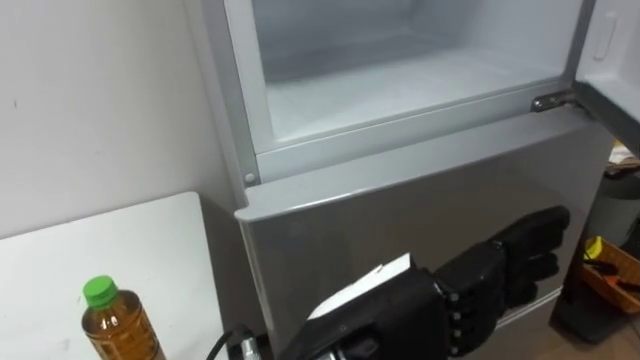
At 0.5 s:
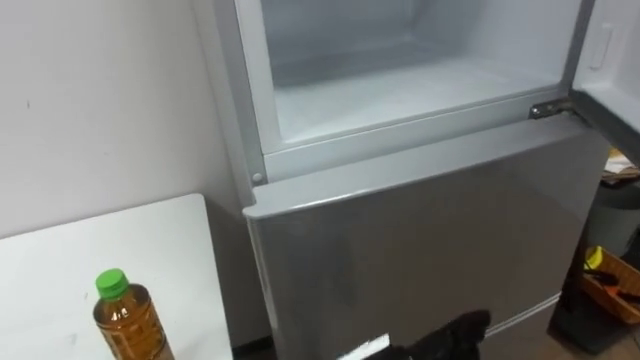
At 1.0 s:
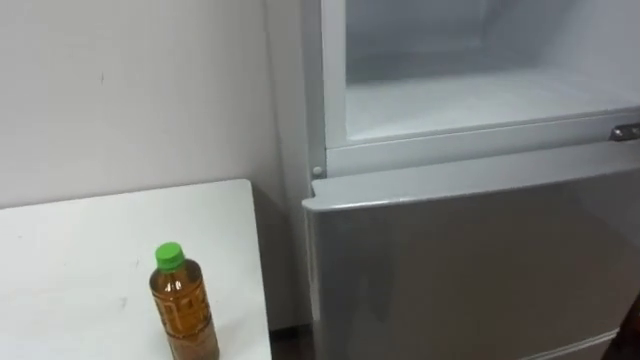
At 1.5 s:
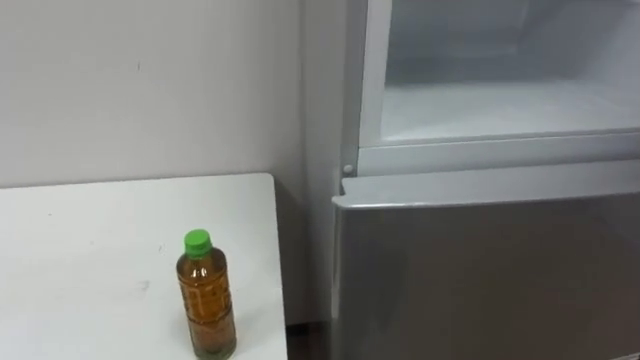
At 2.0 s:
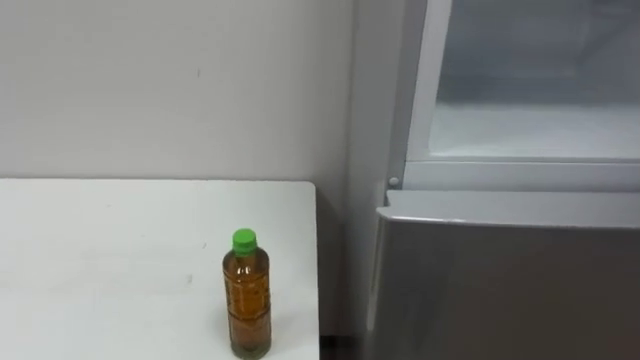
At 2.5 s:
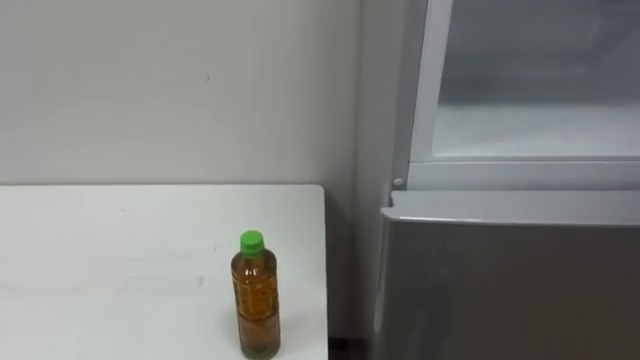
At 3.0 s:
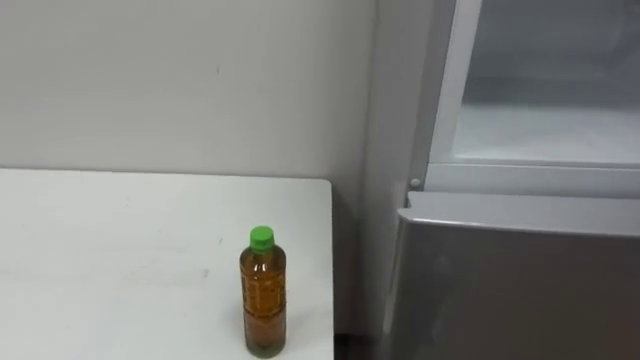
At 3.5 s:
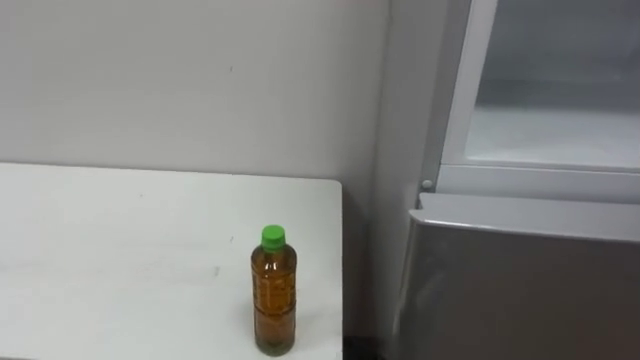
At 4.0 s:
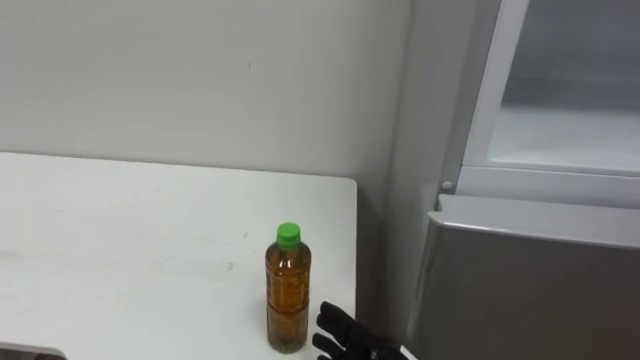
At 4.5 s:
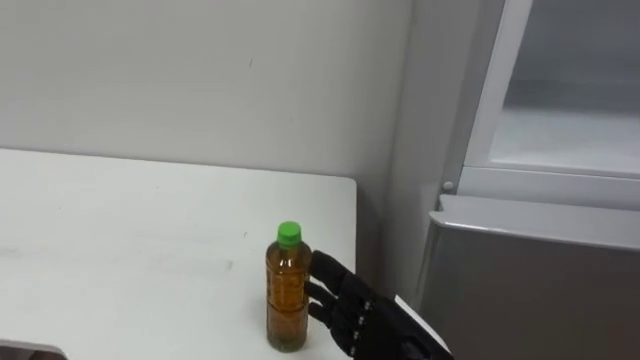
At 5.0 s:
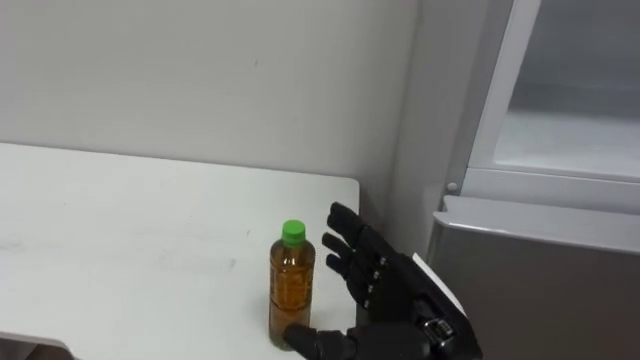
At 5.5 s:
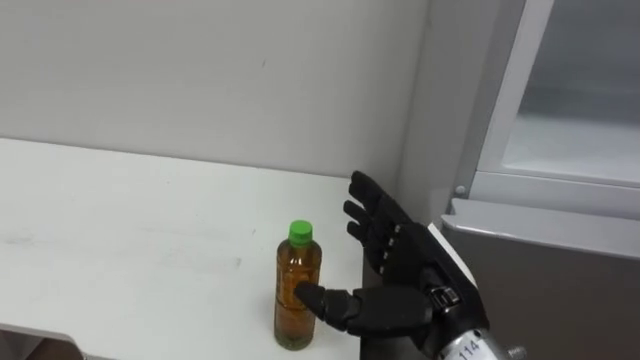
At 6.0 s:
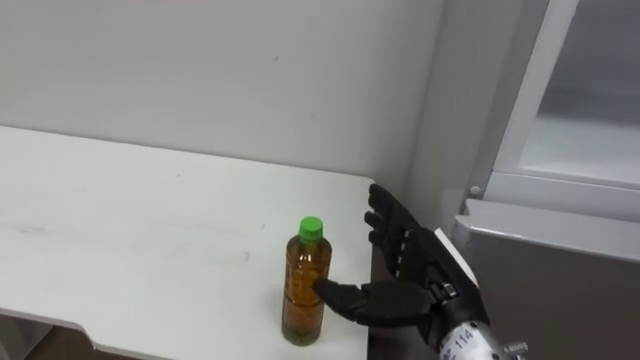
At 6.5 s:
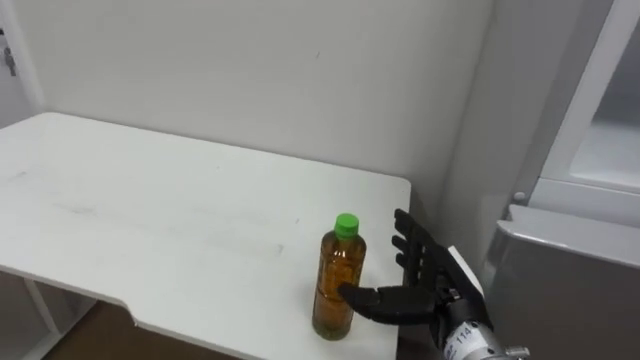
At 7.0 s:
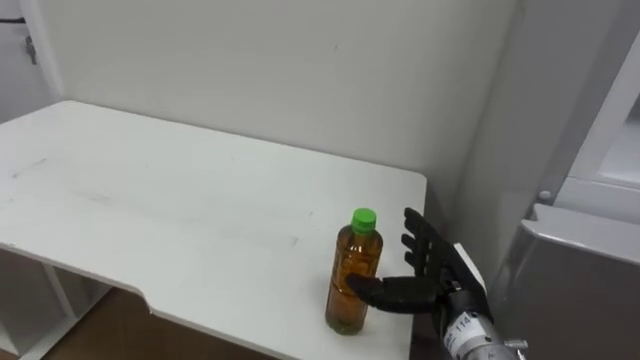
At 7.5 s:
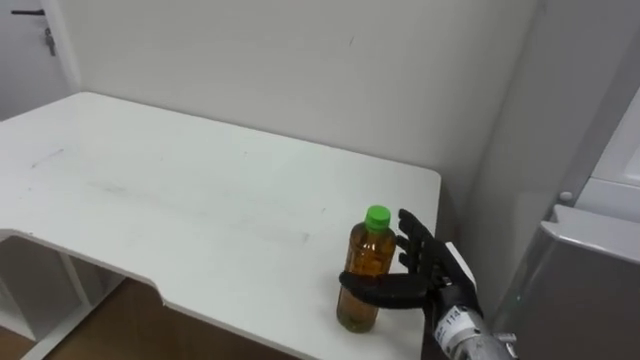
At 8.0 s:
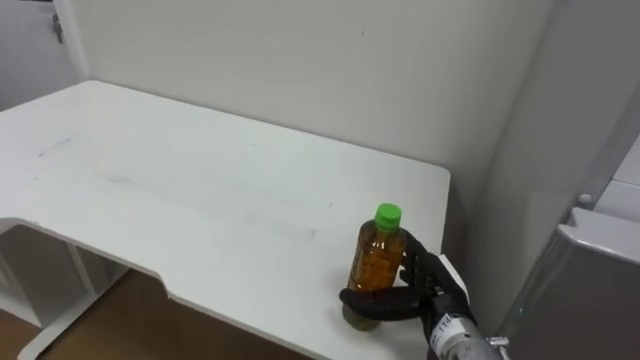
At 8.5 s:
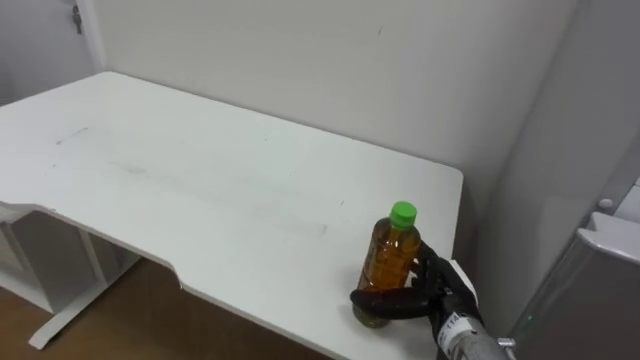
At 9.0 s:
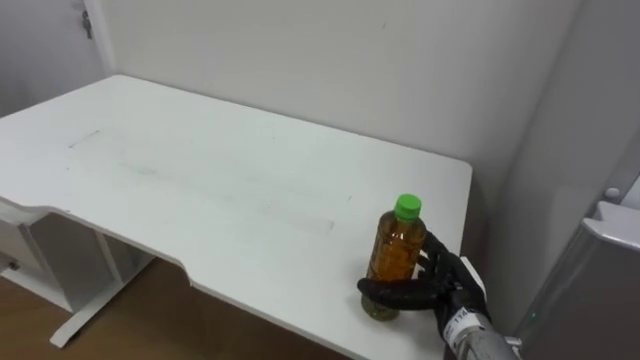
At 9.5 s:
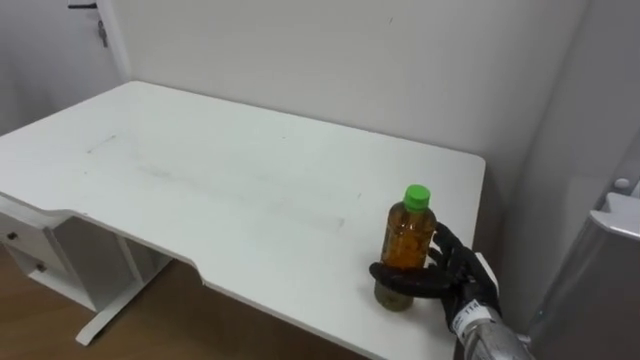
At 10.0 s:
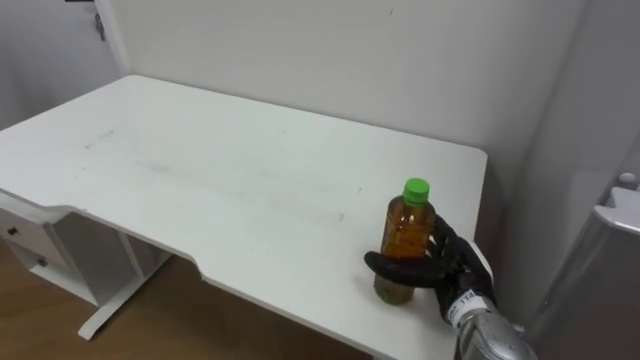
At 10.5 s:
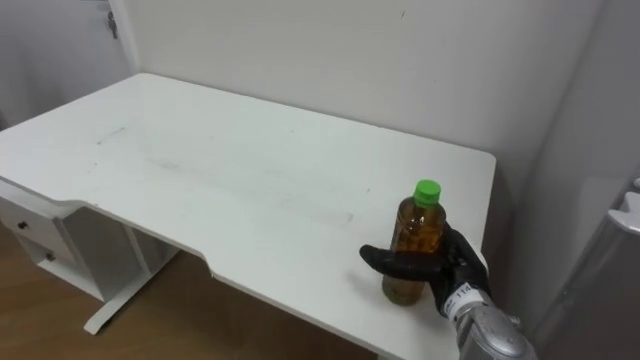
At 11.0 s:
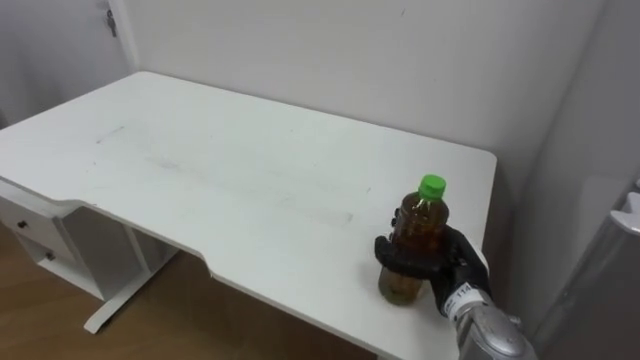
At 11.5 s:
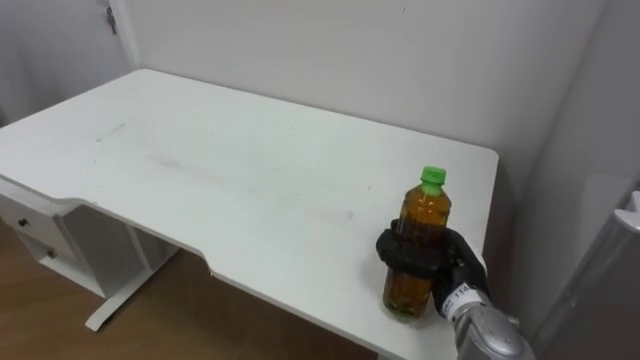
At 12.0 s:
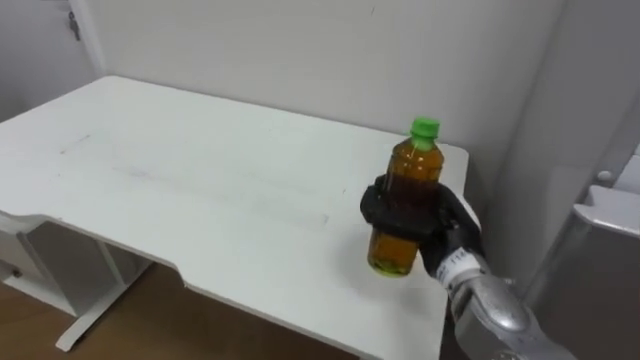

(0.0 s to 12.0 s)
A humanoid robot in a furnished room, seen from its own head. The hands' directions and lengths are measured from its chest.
Task of the whole recording: Open the upper refrigerator door, put the drink from the table into the refrigerator, and then close the refrigerator door.
6.0 s - 8.0 s: The right hand is displaced downward and forward by approximately 10 cm.
10.0 s - 12.0 s: The right hand shifts approximately 10 cm upward, and closes.

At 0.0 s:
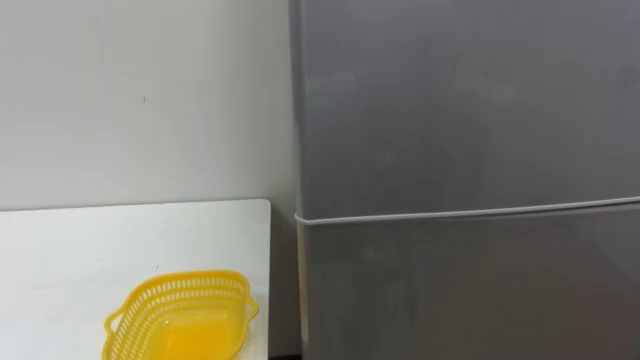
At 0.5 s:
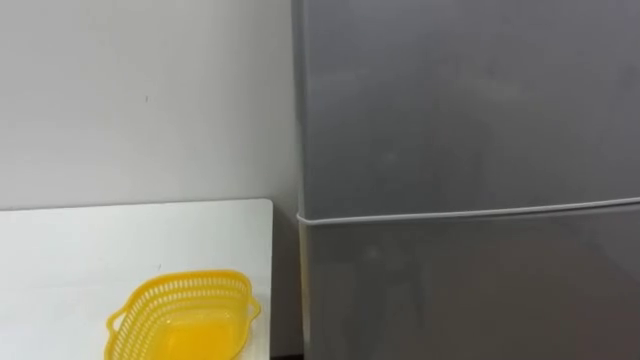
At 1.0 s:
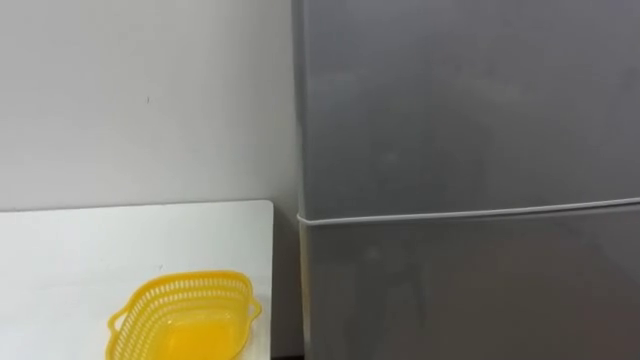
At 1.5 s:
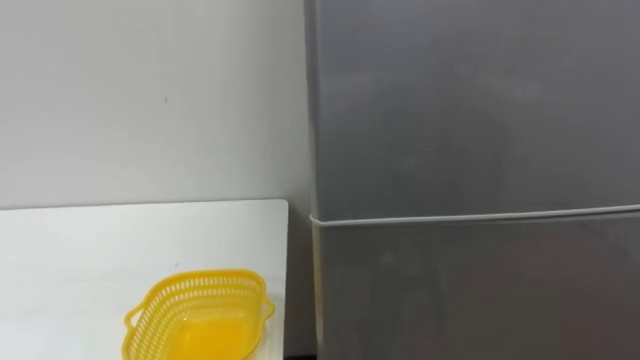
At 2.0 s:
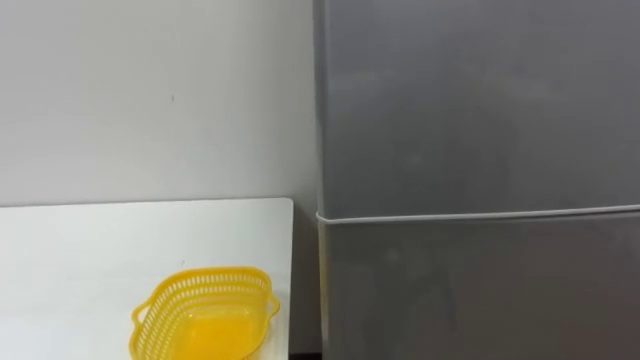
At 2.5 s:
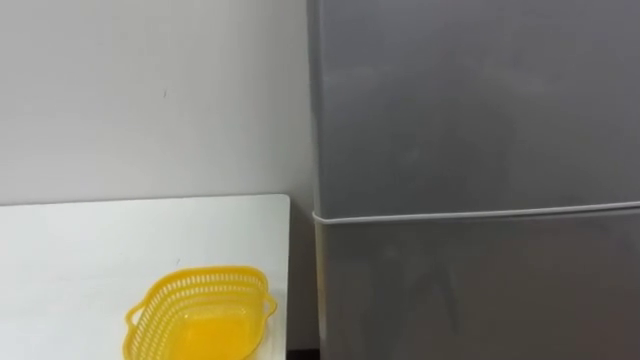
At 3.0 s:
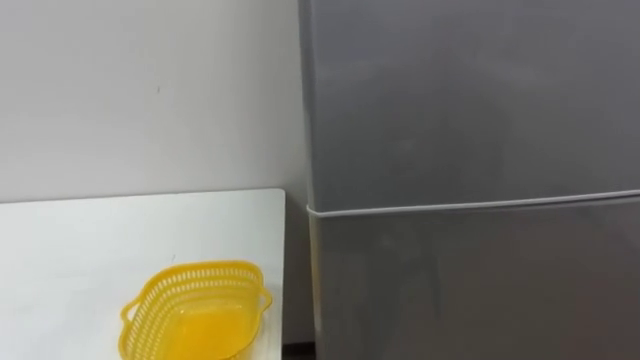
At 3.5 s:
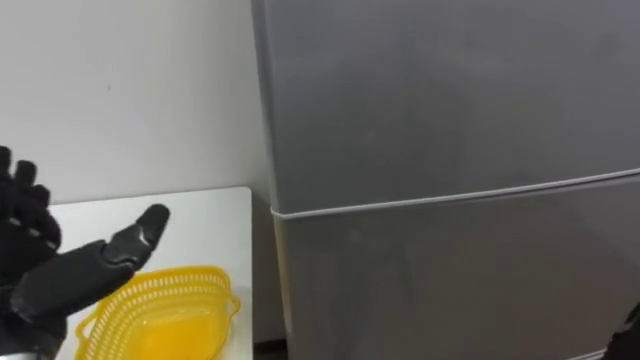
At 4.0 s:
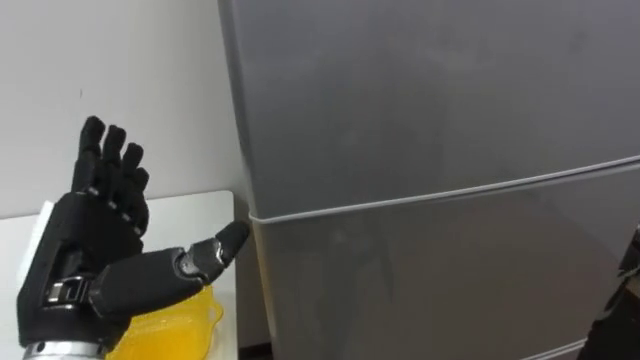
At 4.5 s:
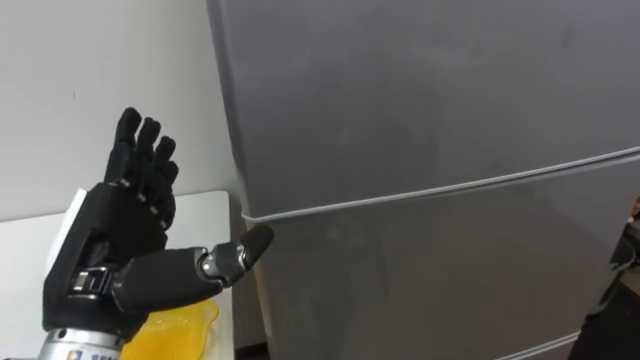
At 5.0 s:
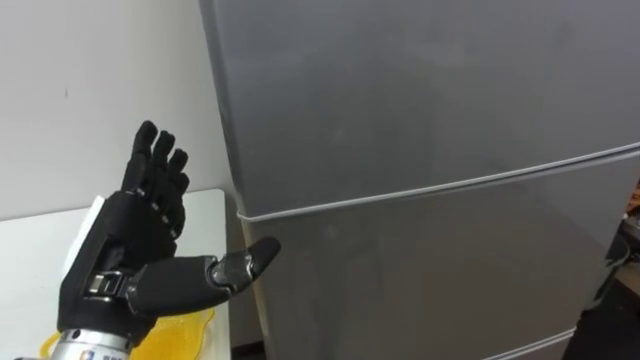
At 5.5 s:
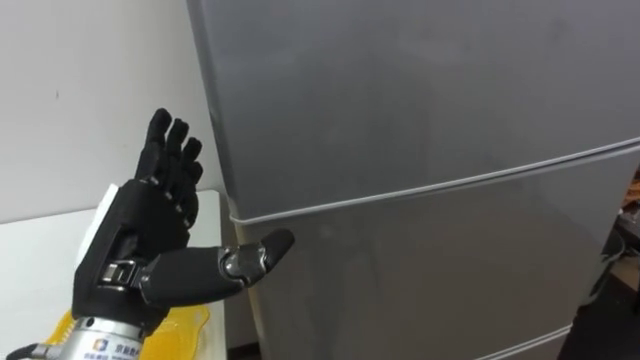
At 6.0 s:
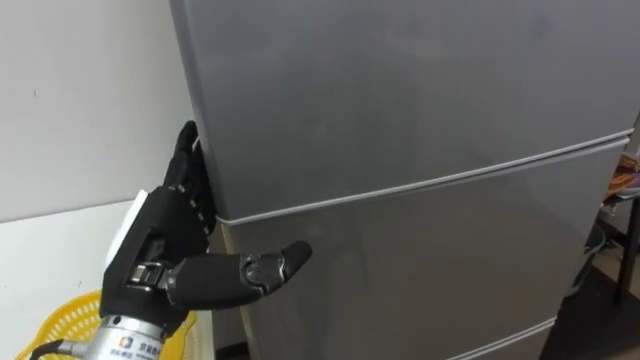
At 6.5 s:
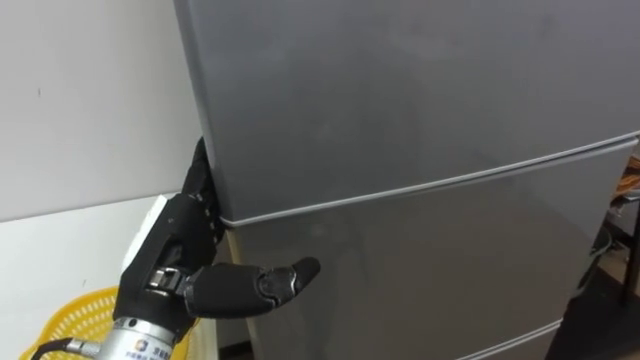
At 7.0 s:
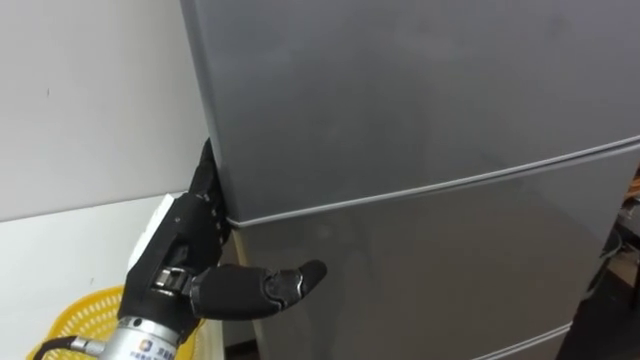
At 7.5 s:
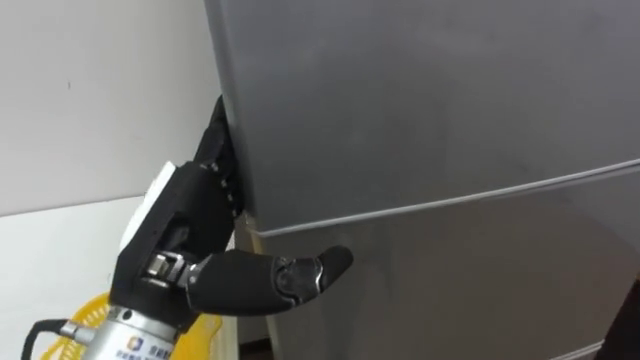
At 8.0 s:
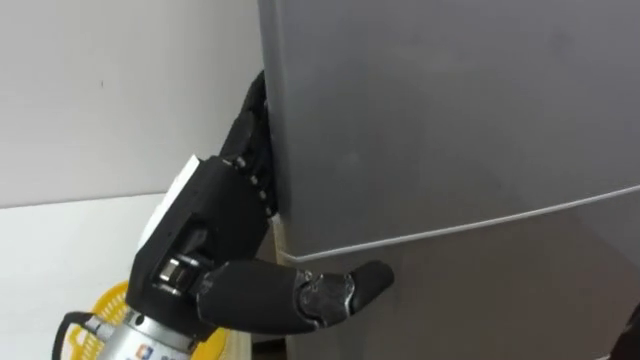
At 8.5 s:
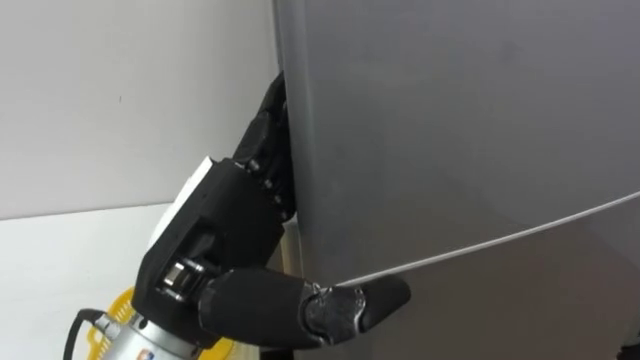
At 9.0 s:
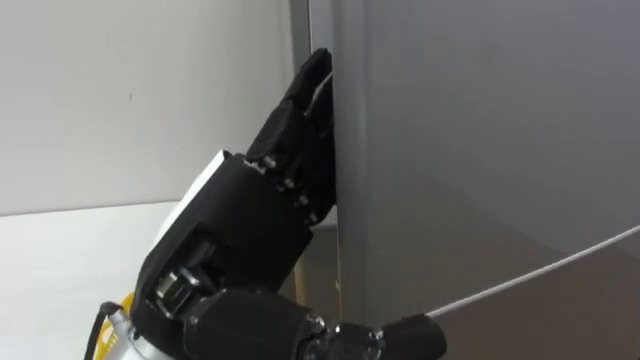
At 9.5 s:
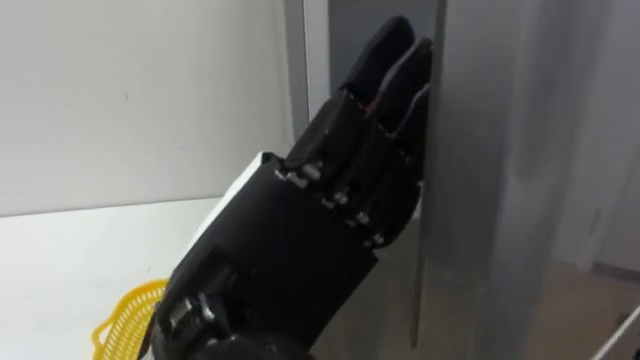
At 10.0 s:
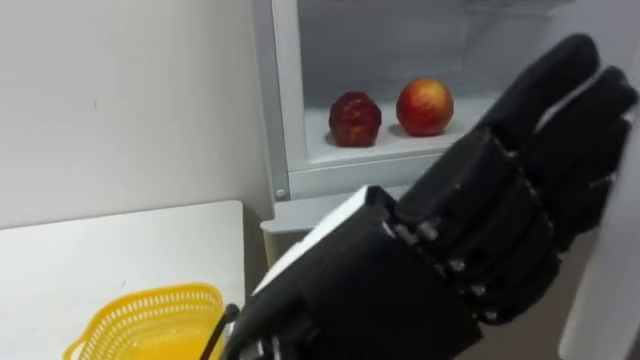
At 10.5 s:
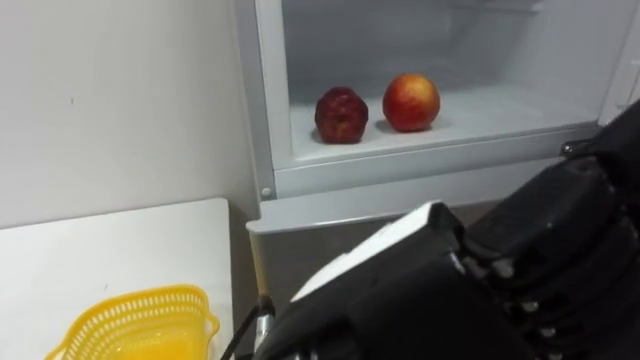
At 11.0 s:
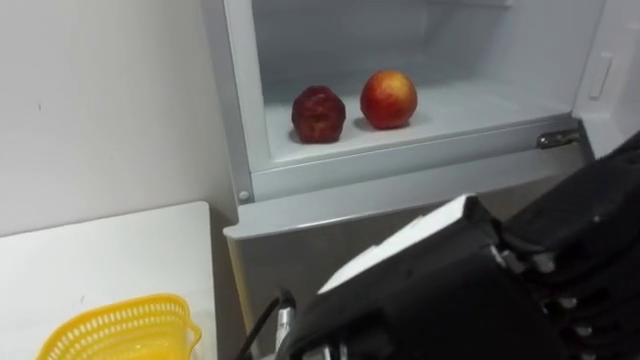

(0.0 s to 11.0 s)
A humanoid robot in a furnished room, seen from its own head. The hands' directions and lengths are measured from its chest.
Task of the whole recording: Open the refrigerator door, take out the apple and the pomegranate, place them in the fruit basket on the left, and close the refrigerator door.
5.5 s - 7.5 s: The left hand ends up roughly 5 cm from where it was.
7.5 s - 9.0 s: The left hand shifts by roughly 5 cm.
9.0 s - 11.0 s: The left hand heads to the right and backward, covering about 10 cm.
